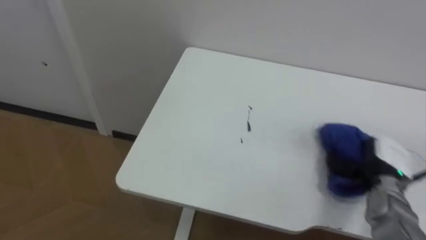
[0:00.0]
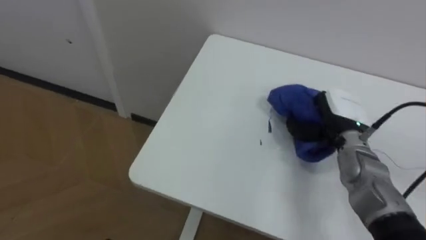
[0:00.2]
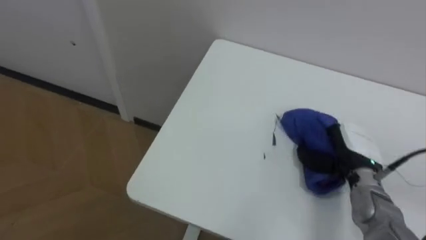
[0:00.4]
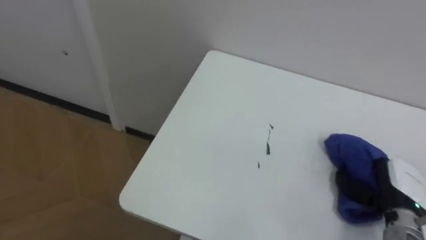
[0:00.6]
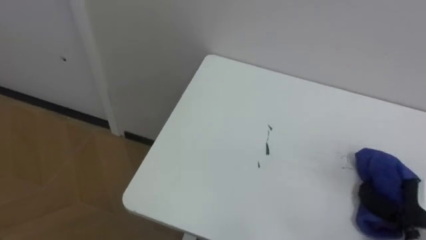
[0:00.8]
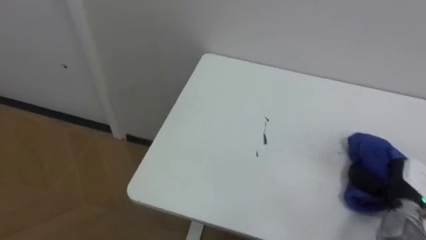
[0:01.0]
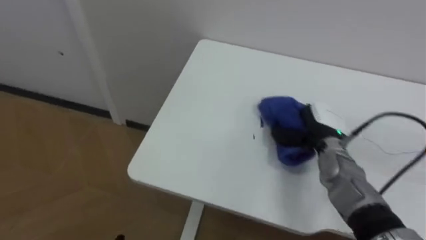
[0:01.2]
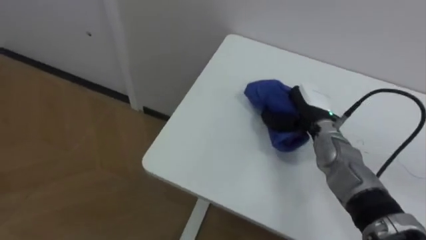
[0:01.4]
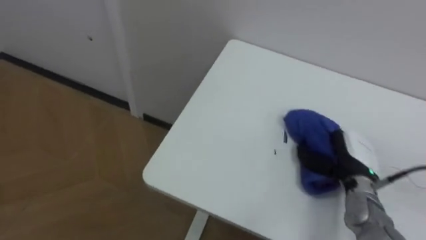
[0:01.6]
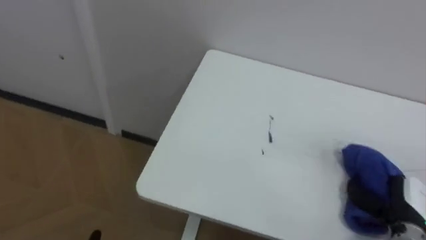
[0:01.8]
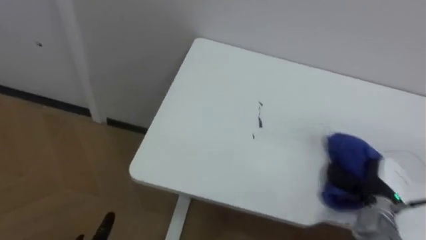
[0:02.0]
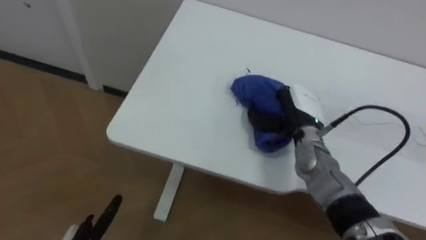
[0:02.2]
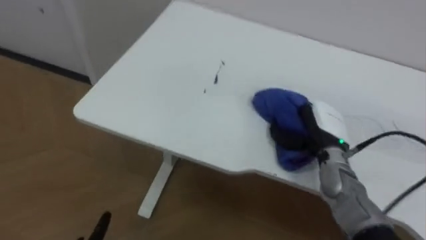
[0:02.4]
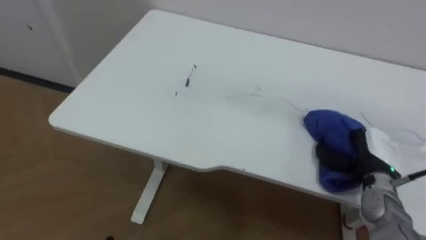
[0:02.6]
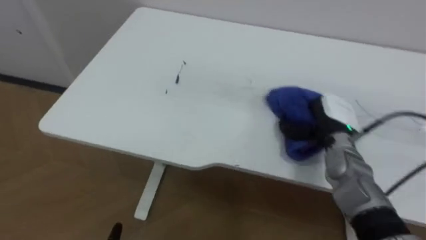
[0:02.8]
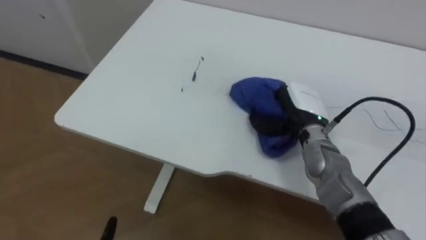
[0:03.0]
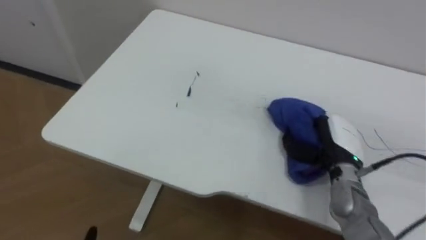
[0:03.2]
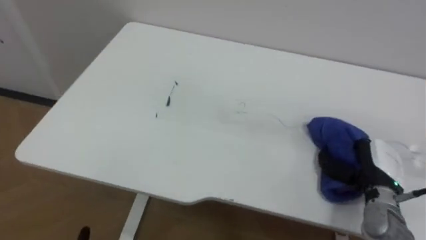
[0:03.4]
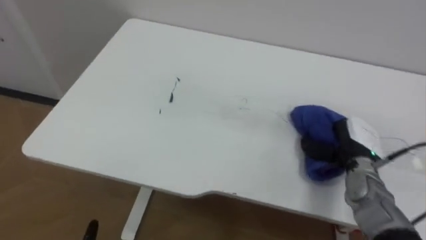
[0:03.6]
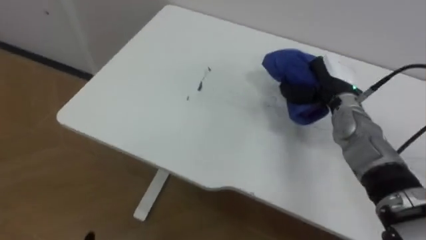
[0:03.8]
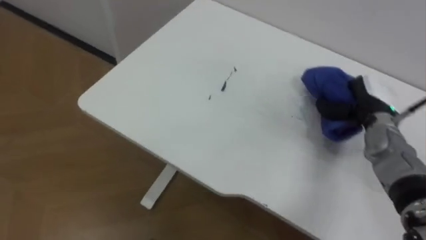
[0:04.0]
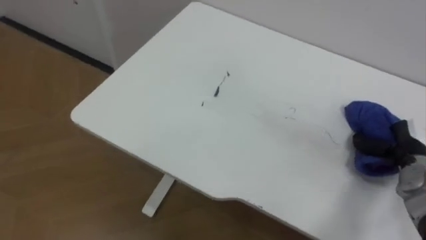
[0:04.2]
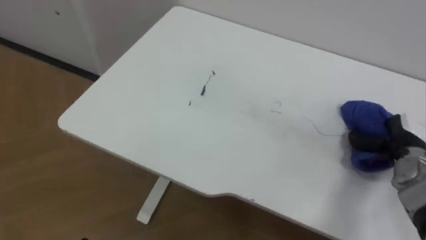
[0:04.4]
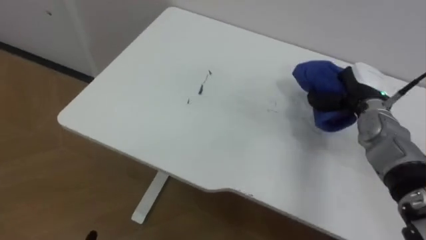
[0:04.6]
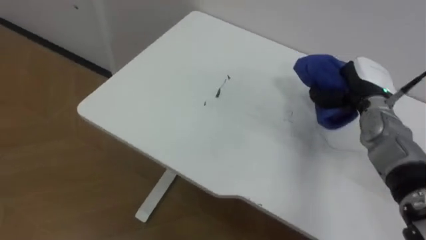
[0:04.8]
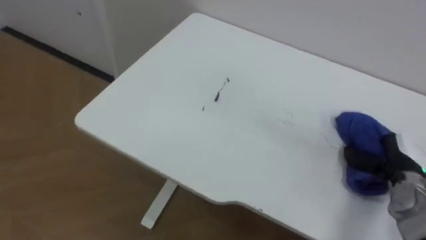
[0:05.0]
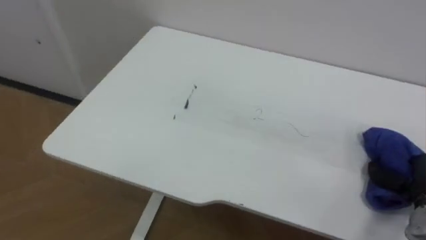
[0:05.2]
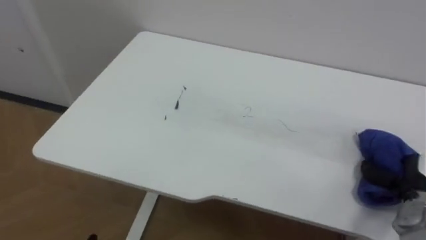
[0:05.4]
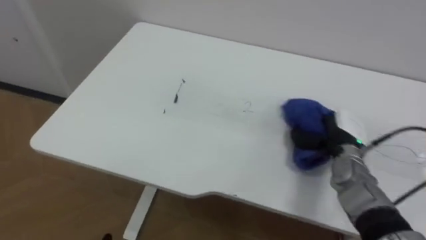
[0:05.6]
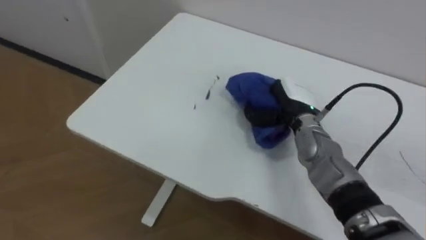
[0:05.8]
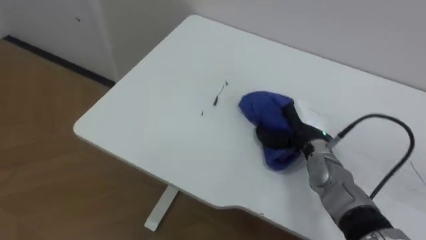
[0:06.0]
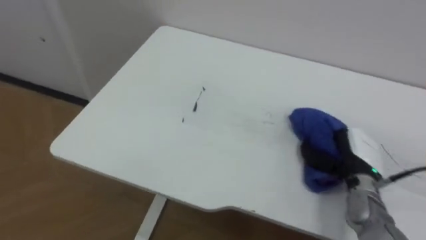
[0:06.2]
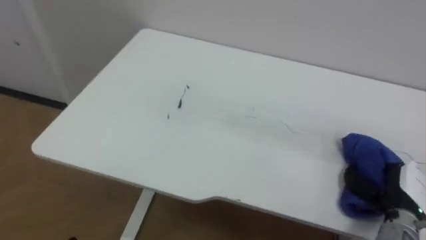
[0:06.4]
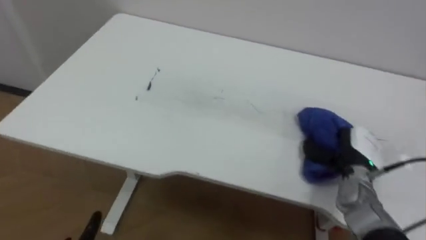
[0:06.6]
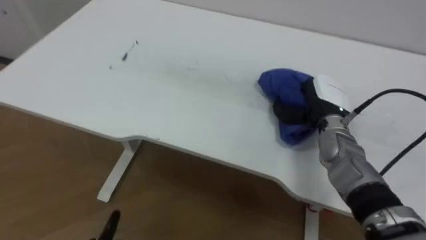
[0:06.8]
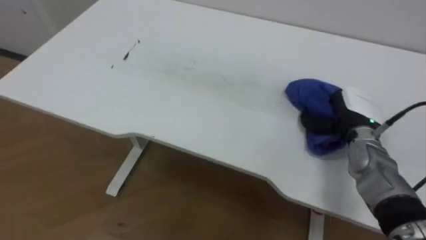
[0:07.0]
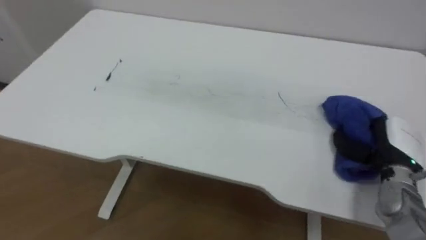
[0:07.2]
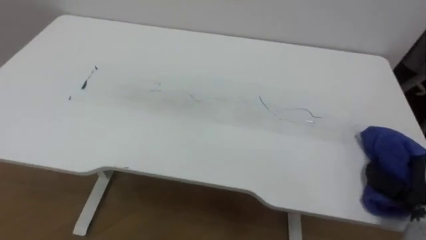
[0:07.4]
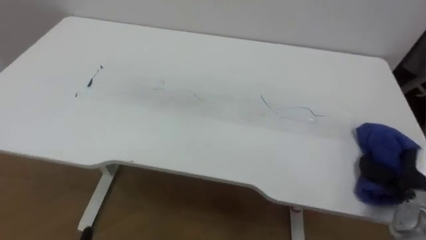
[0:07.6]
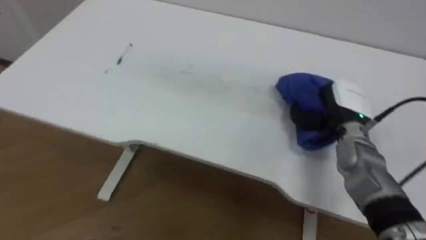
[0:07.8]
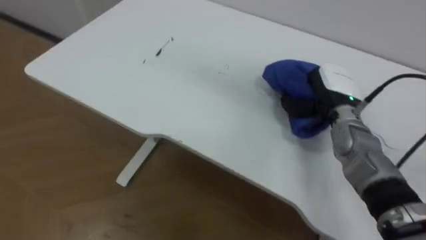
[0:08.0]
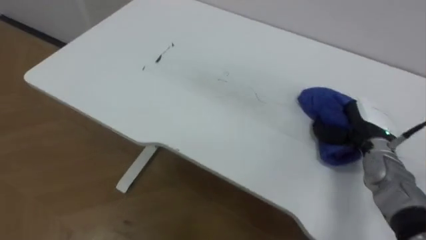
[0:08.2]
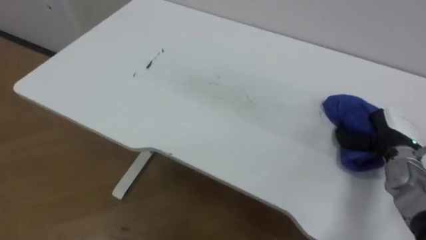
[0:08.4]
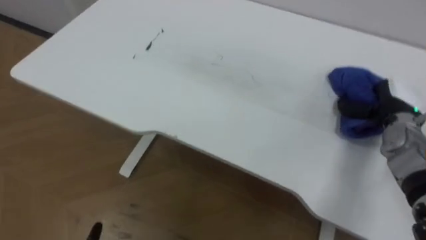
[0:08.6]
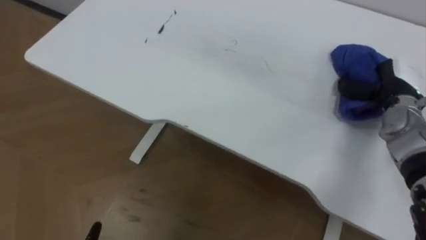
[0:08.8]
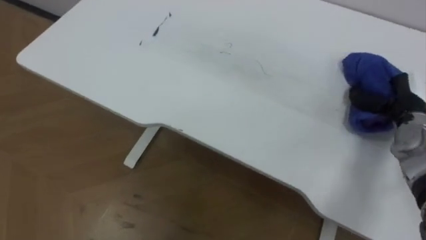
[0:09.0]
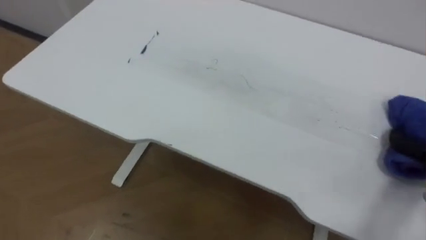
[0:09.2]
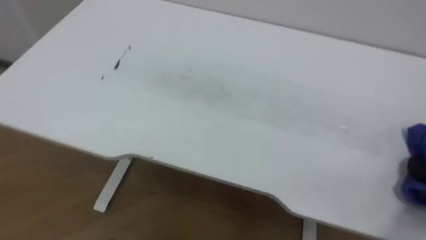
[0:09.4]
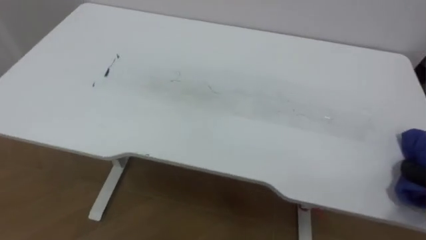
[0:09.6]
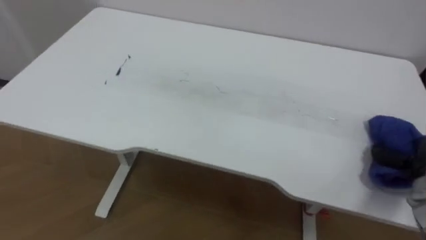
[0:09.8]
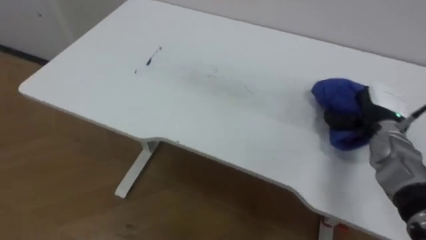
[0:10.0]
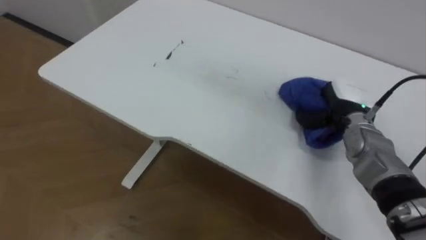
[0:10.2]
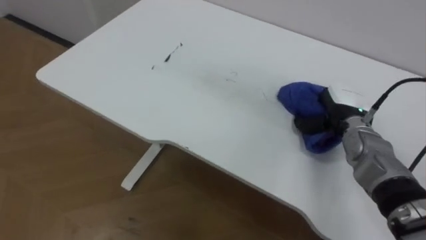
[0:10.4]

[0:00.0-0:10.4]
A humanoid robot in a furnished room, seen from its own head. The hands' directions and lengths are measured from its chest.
Task of the whole recording: Wipe the blue pen marks off the table with the rag.
0:00.0 to 0:01.4: The right hand goes forward and backward, roughly 20 cm each way, reversing 2 times.
0:01.4 to 0:03.0: The right hand goes left and right, roughly 20 cm each way, reversing 3 times.
0:03.0 to 0:04.4: The right hand swings left and right, approximately 20 cm each way, with 2 reversals.
0:04.4 to 0:06.0: The right hand goes left and right, some 25 cm each way, reversing 2 times.
0:06.0 to 0:07.4: The right hand swings left and right, roughly 20 cm each way, with 2 reversals.
0:07.4 to 0:09.0: The right hand swings forward and backward, approximately 20 cm each way, with 2 reversals.

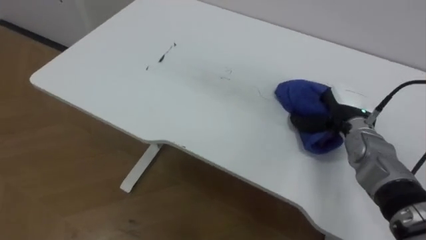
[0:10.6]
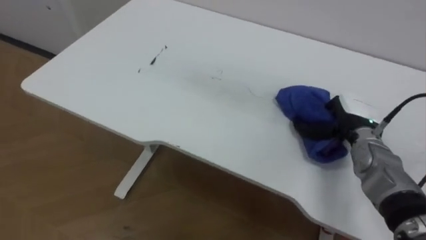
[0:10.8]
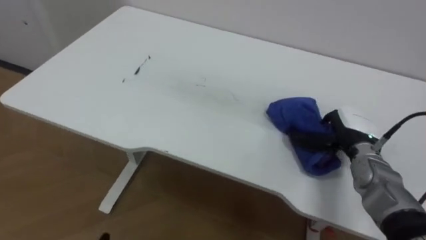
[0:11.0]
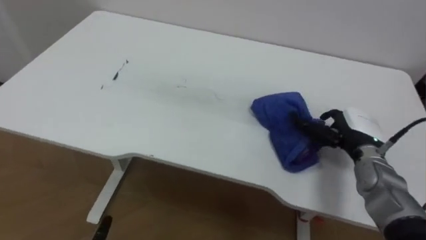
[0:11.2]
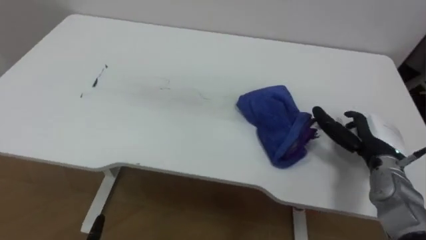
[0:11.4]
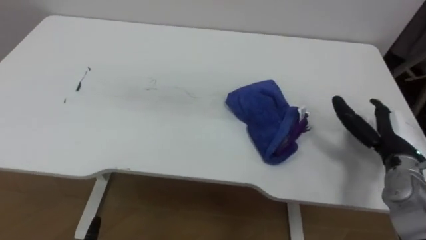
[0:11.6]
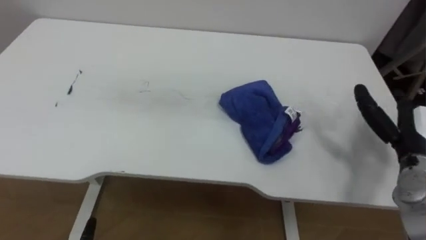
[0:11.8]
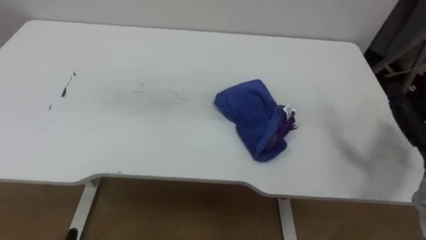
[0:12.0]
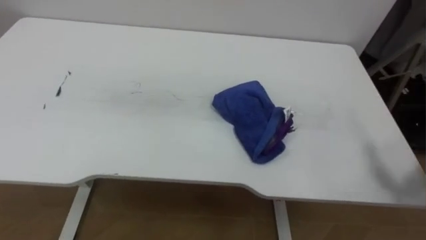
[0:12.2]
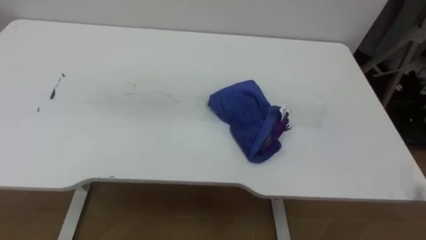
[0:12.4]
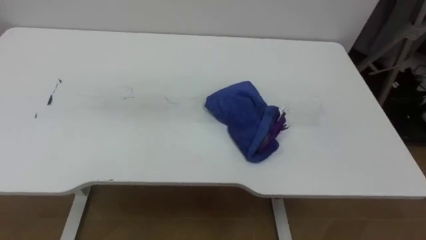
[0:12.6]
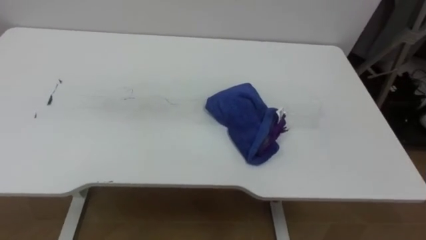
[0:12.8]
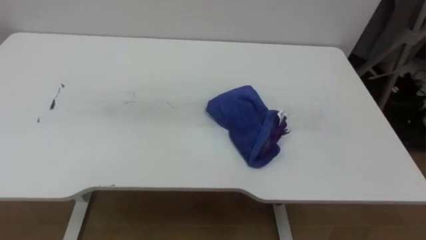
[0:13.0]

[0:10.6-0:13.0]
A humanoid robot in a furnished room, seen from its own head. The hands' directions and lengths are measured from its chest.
Task of the whole recording: Wipe the blue pen marks off the table with the rag.
0:10.6 to 0:11.8: The right hand heads to the right and backward, covering roughly 15 cm, and opens its fingers.

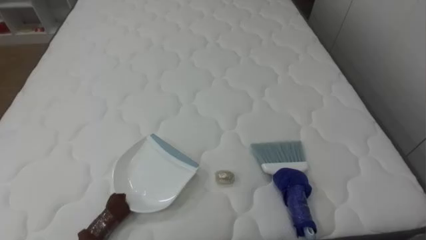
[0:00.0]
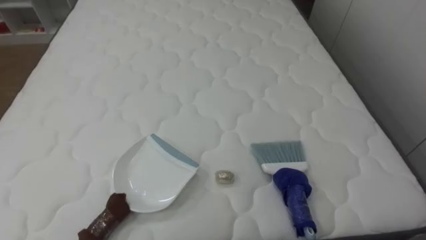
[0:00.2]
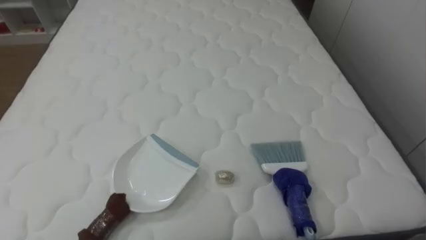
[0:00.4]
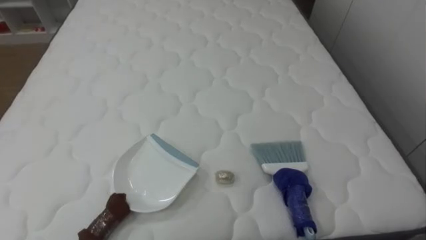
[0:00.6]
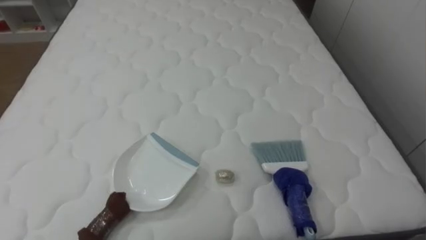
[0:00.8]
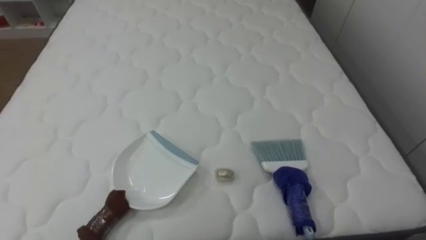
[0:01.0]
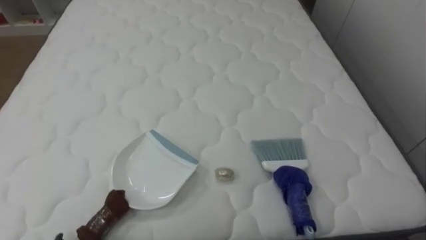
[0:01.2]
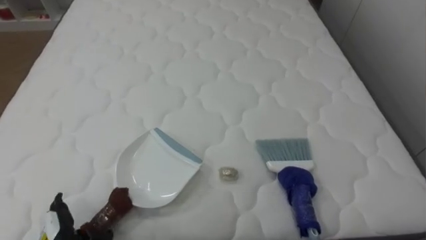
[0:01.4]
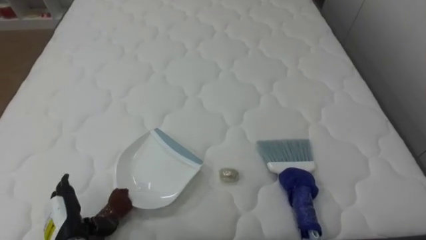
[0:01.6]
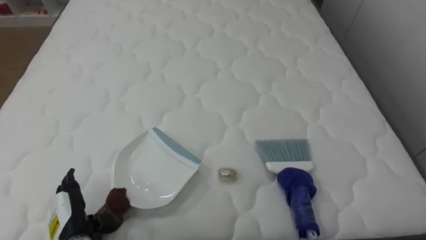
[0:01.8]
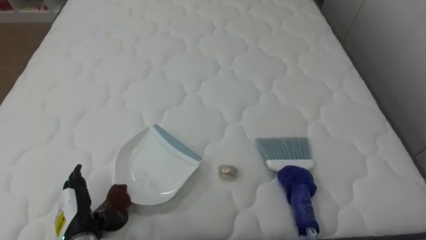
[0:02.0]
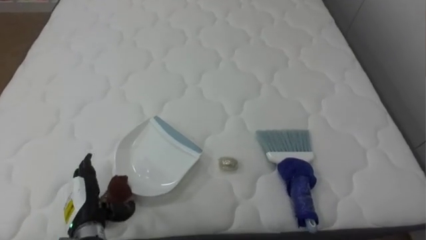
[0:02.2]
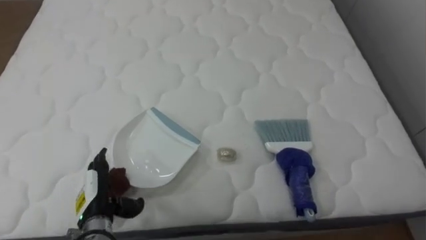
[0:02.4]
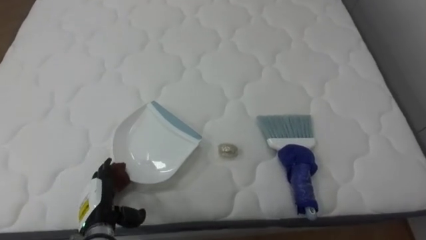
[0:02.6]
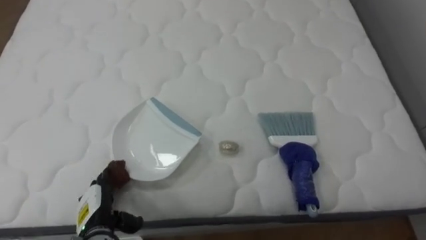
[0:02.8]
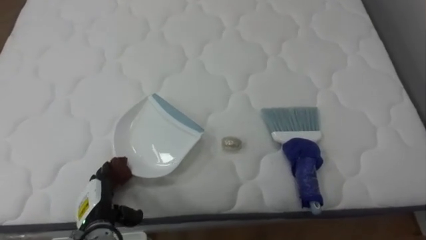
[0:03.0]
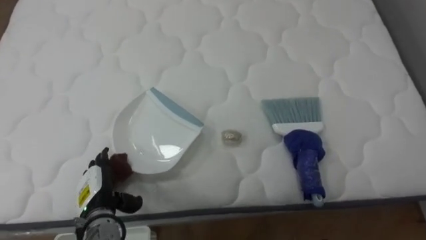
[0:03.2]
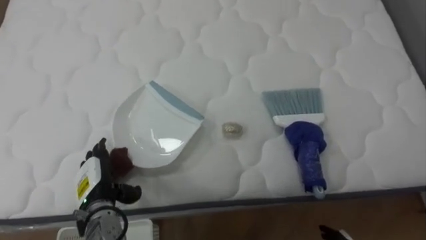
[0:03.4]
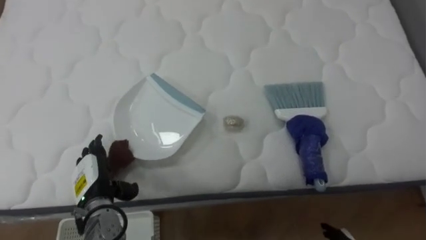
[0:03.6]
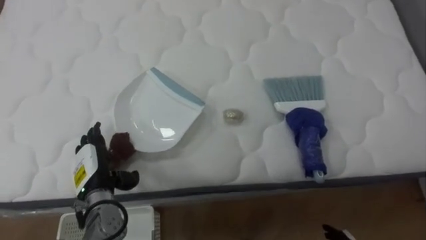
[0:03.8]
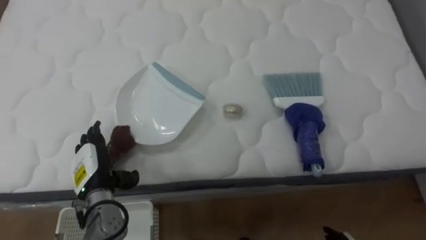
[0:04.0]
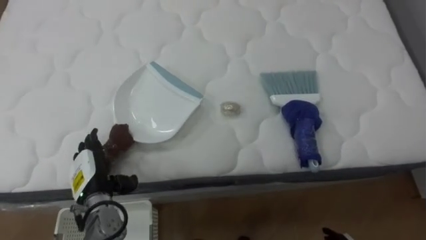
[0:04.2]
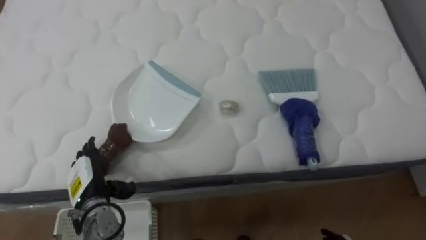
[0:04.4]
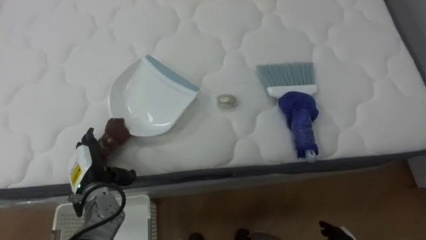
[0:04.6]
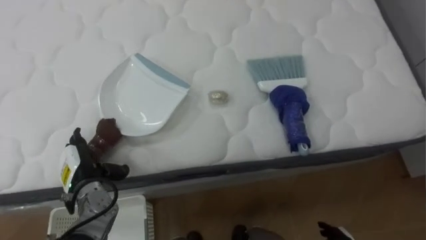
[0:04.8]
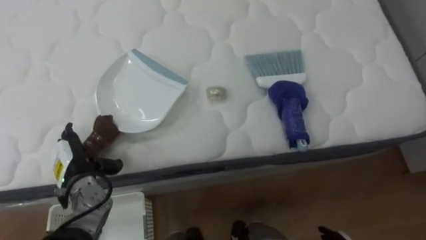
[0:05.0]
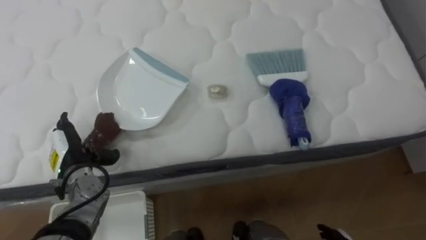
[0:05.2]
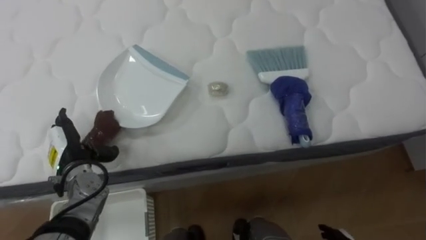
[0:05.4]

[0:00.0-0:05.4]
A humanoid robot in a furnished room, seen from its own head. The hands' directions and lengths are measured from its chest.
Task of the whole recording: Pick up the brush on your right and the dustpan on your left. Use the brush to sweep the crumpled paper on the bed into the dustpan, then turn left and empty it into the basket.
0:01.4 to 0:02.8: The left hand heads to the right and forward, covering some 10 cm.
0:02.8 to 0:04.0: The left hand goes roughly 10 cm forward and upward.
0:04.0 to 0:05.4: The left hand moves roughly 5 cm.
